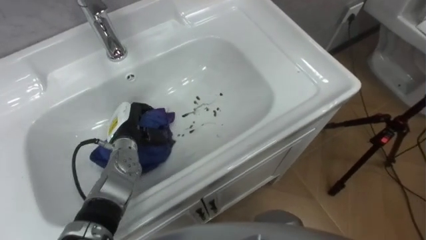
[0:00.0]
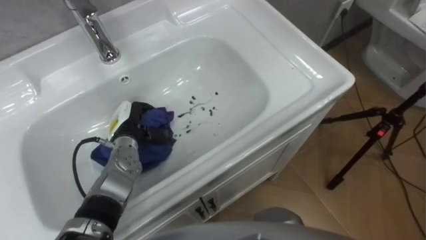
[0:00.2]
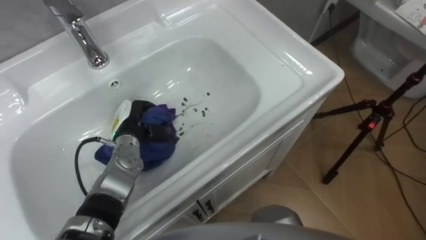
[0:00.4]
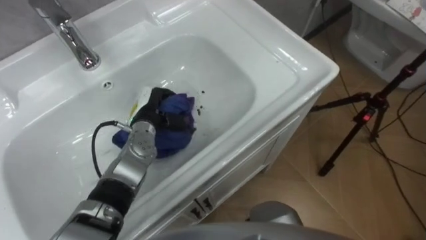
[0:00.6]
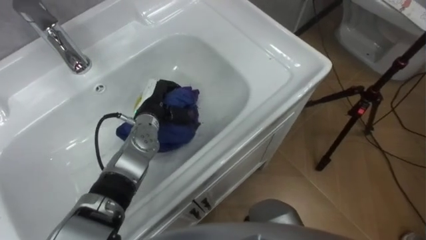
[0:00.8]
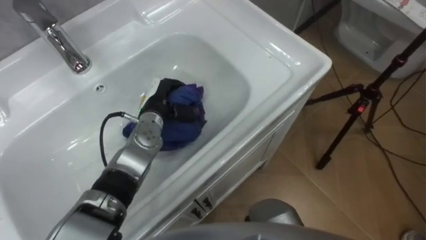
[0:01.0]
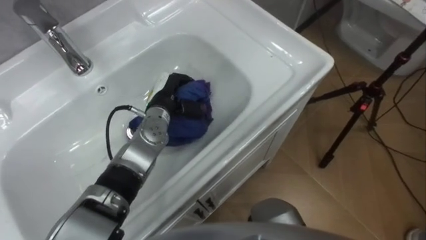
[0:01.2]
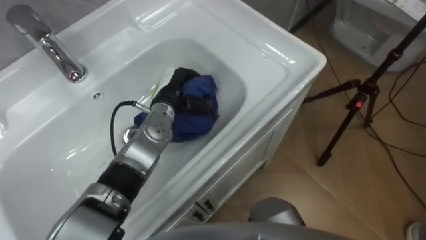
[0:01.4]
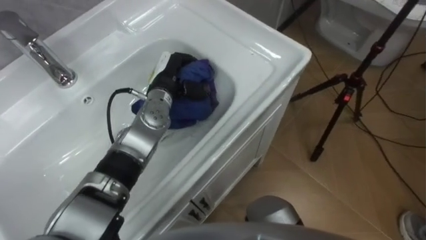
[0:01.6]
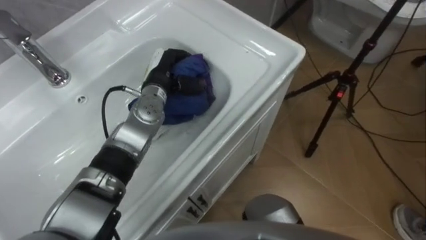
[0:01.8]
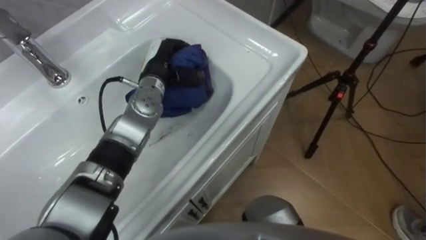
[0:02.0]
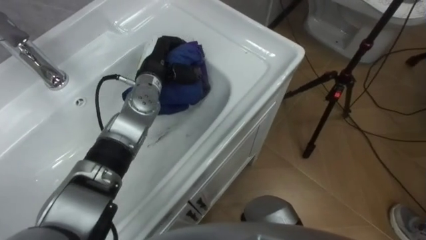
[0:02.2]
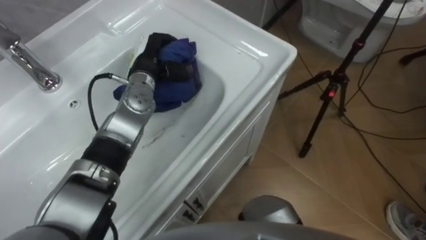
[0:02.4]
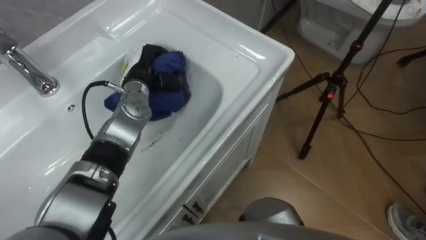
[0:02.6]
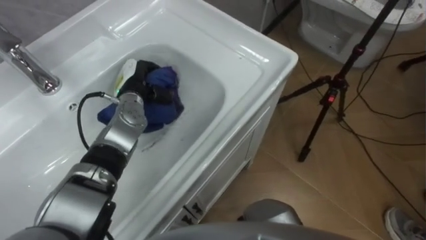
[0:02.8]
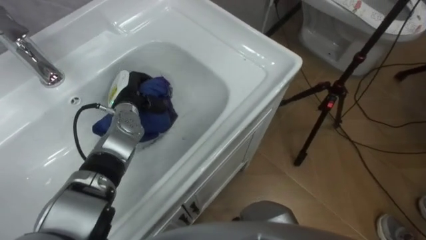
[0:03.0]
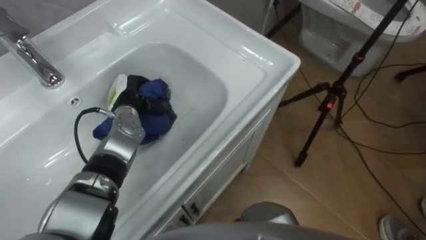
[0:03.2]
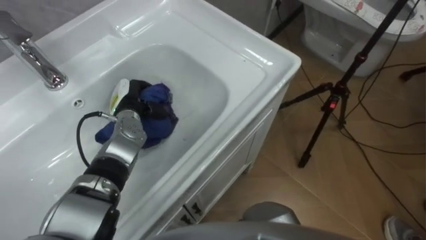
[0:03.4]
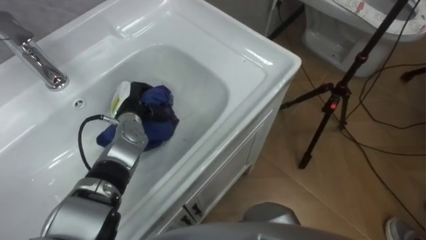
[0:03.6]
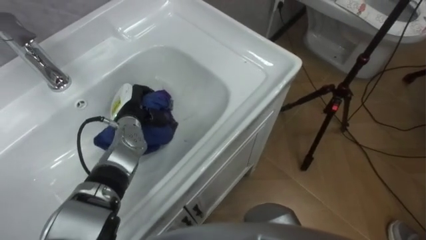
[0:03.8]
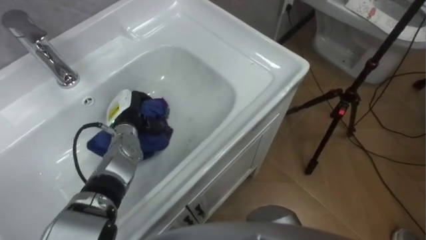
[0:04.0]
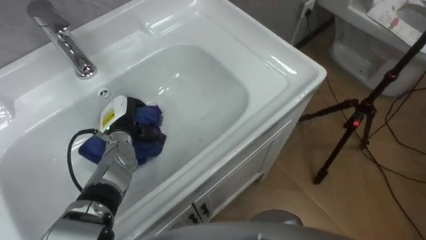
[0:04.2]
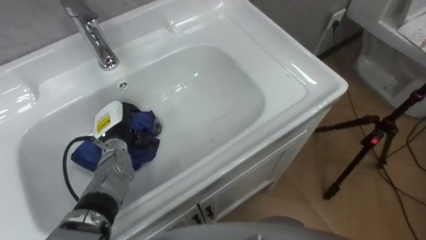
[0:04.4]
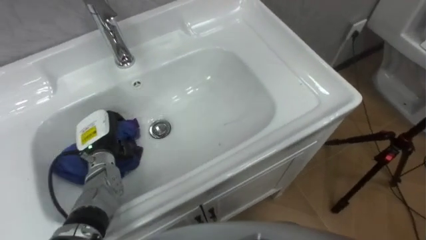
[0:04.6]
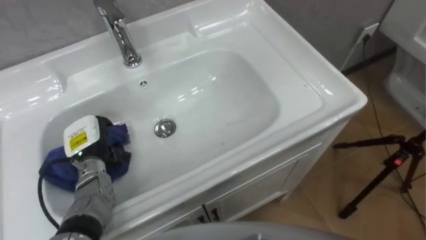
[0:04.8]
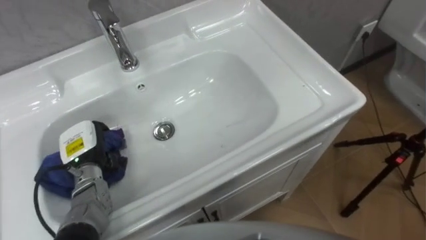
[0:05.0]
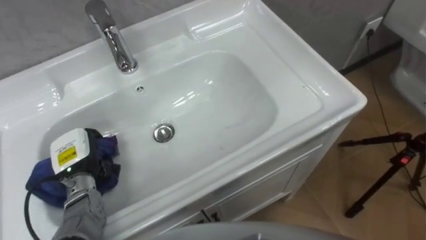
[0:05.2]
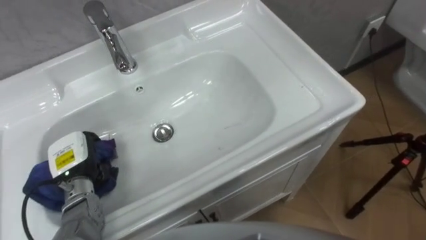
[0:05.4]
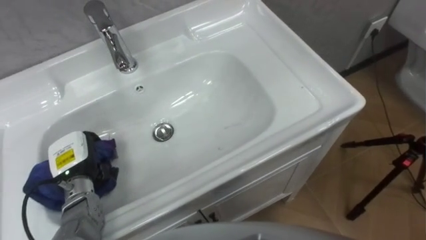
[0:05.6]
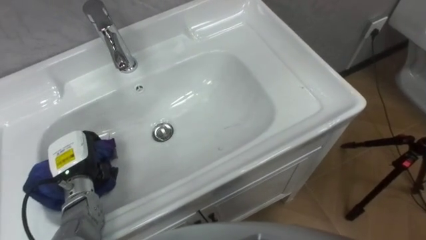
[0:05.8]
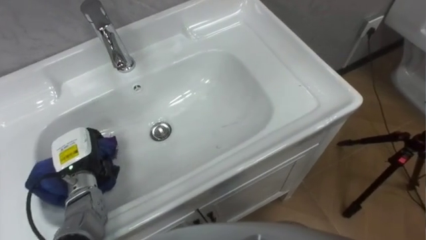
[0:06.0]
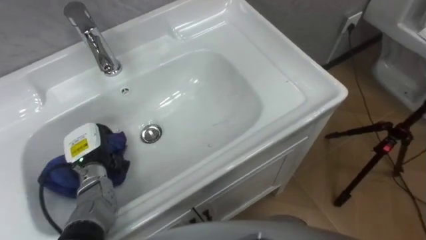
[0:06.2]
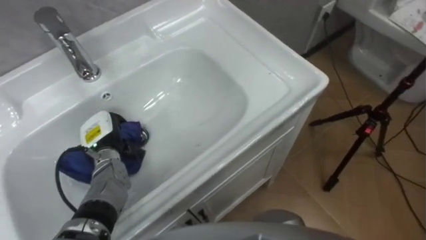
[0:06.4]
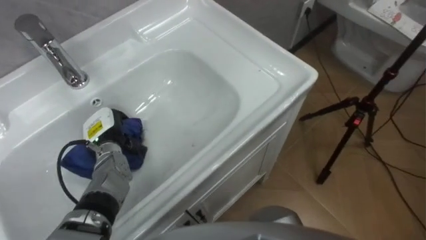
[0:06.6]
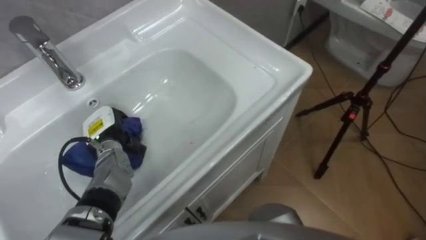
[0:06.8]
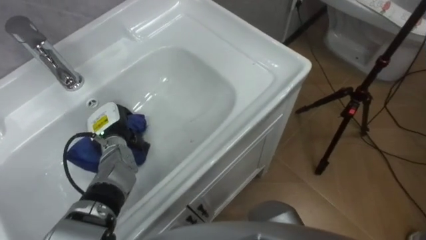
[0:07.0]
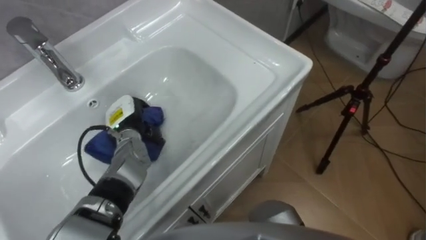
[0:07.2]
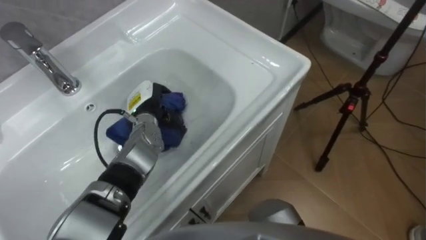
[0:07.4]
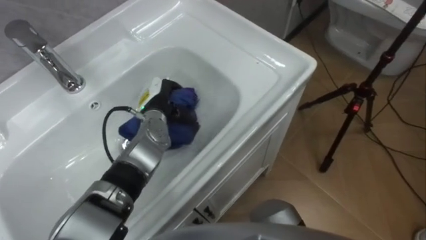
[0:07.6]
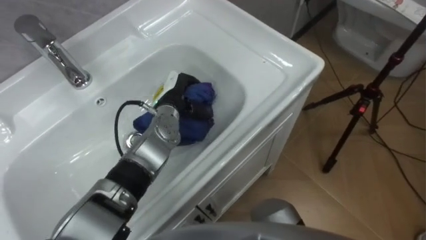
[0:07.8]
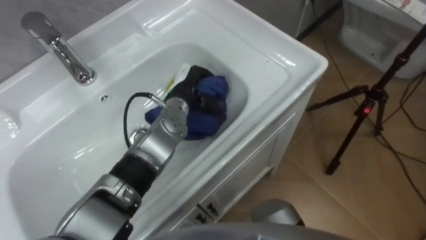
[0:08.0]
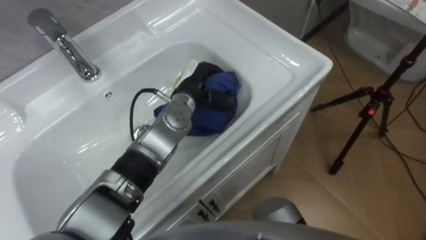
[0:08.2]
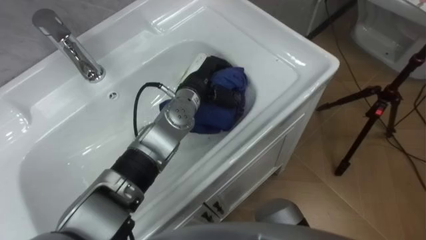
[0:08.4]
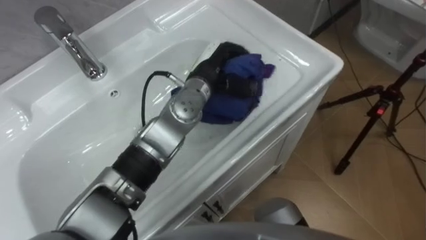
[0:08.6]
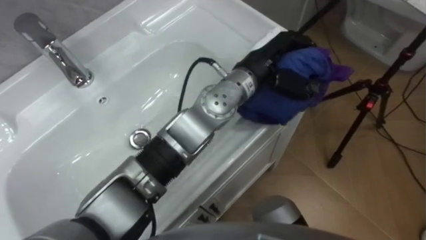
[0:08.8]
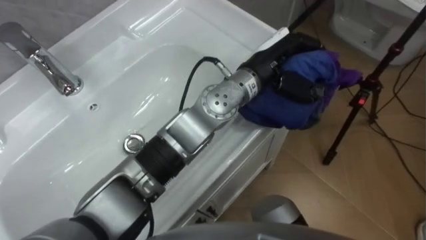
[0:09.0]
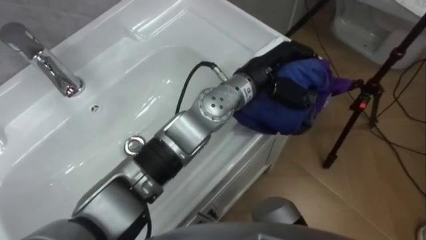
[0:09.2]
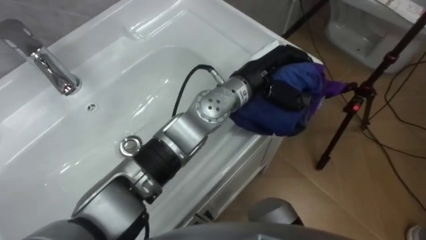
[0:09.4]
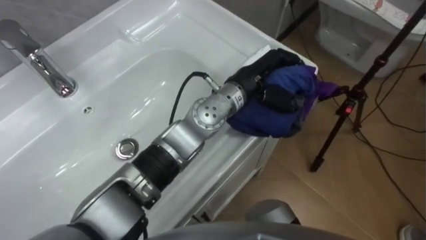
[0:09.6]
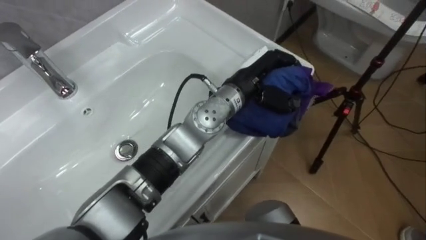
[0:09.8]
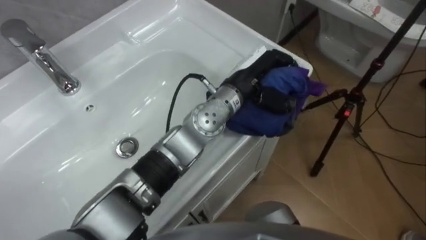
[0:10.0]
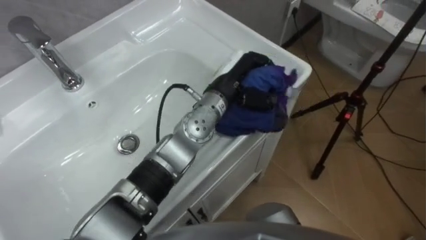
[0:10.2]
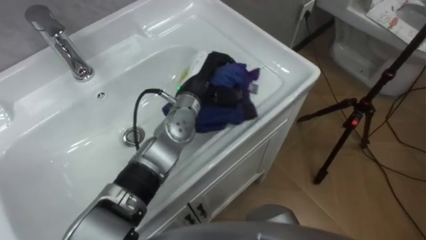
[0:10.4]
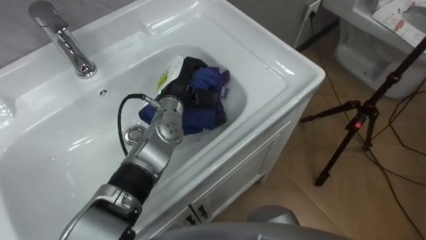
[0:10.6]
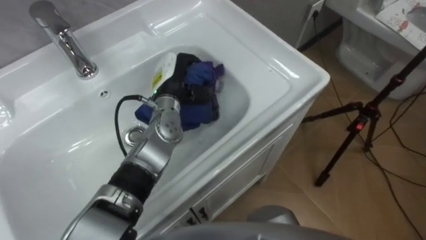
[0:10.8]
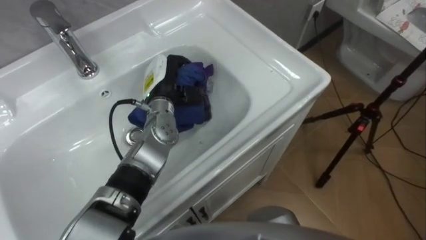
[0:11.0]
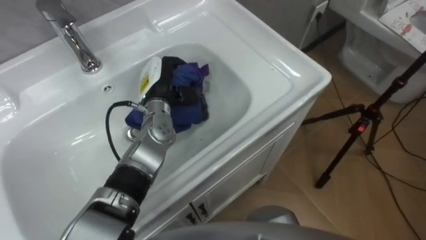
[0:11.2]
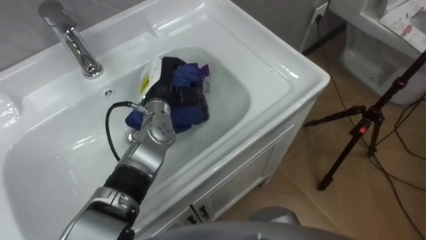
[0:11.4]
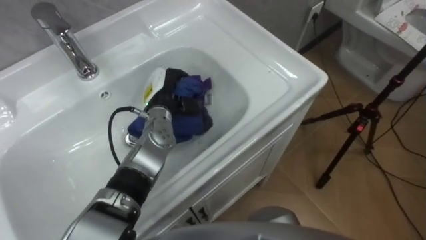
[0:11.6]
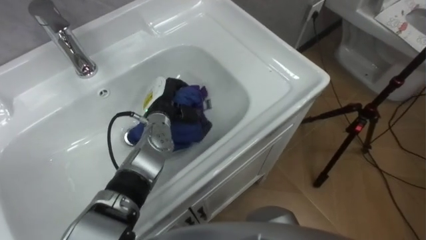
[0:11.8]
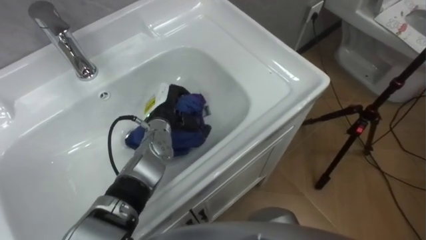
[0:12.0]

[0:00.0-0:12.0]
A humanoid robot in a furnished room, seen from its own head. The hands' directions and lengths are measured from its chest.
Task of the whole recording: Use the cloth on the right to wipe away the black stain in the sink.
0:00.0 to 0:01.6: The left hand heads to the right, forward and upward, covering about 15 cm.
0:01.6 to 0:03.0: The left hand shifts about 10 cm to the left.
0:03.0 to 0:04.4: The left hand shifts approximately 5 cm backward.
0:04.4 to 0:06.0: The left hand shifts approximately 10 cm backward and to the left.
0:06.0 to 0:07.6: The left hand moves to the right and forward, some 20 cm.
0:07.6 to 0:09.0: The left hand travels to the right and upward by roughly 25 cm.
0:09.0 to 0:10.4: The left hand moves to the left and downward, roughly 15 cm.
0:10.4 to 0:12.0: The left hand shifts approximately 10 cm to the left and downward.

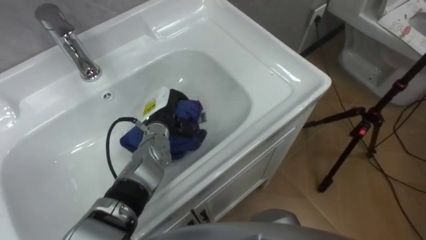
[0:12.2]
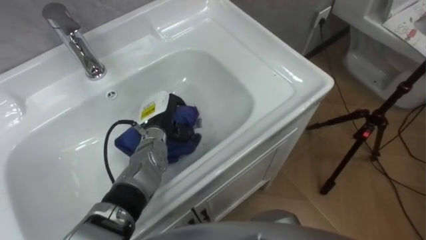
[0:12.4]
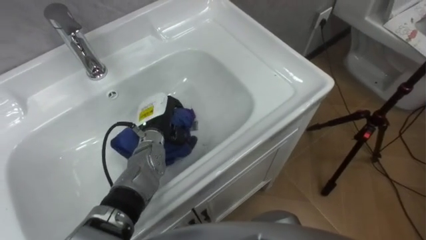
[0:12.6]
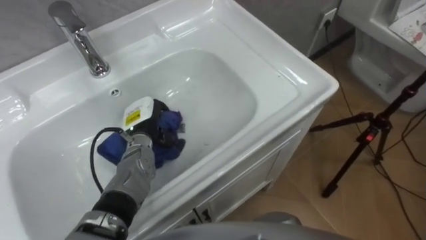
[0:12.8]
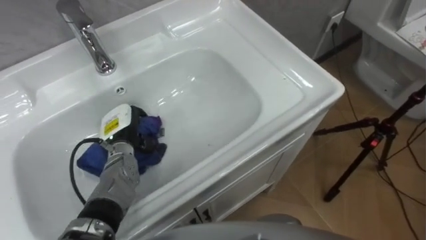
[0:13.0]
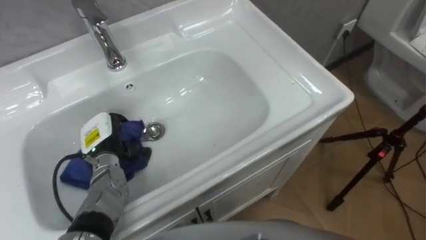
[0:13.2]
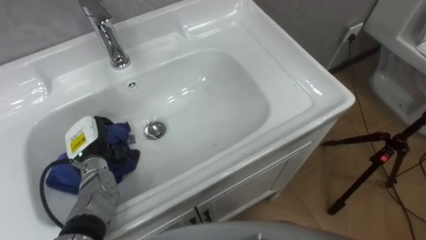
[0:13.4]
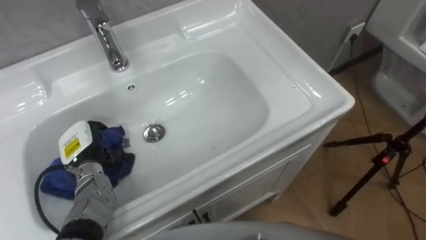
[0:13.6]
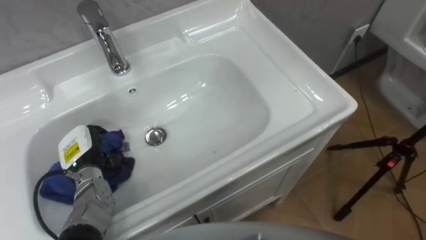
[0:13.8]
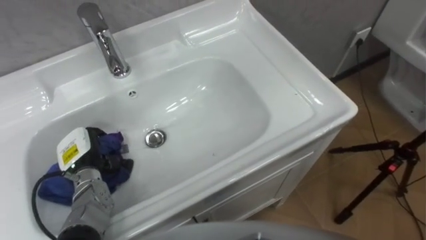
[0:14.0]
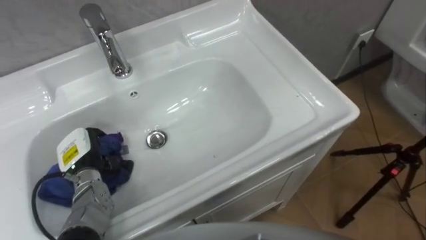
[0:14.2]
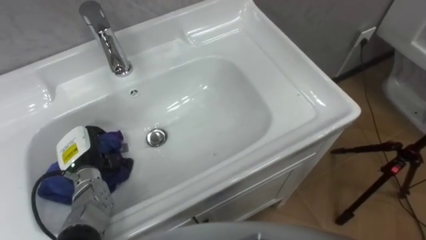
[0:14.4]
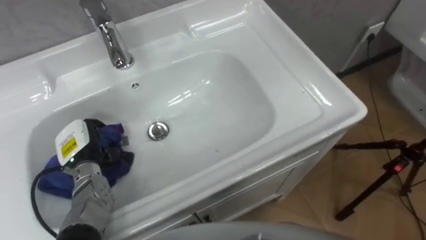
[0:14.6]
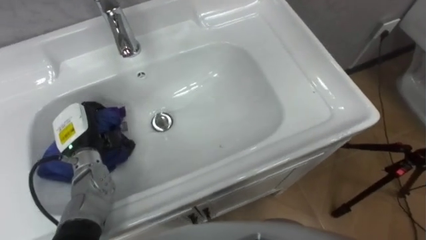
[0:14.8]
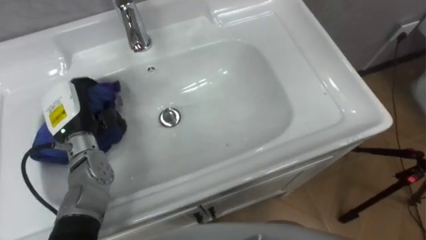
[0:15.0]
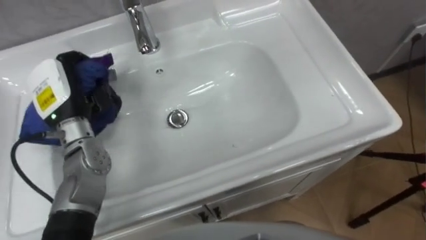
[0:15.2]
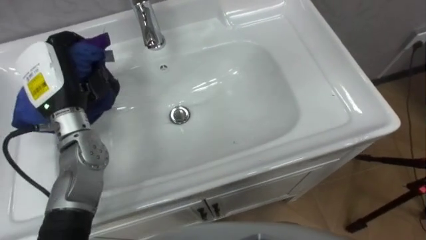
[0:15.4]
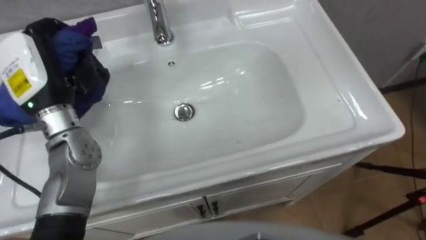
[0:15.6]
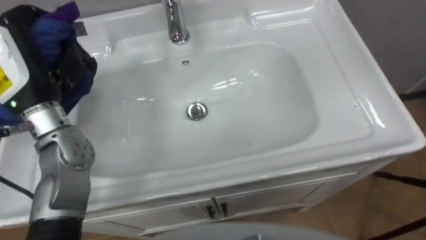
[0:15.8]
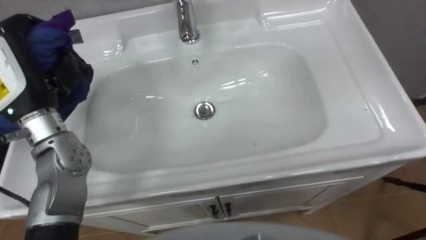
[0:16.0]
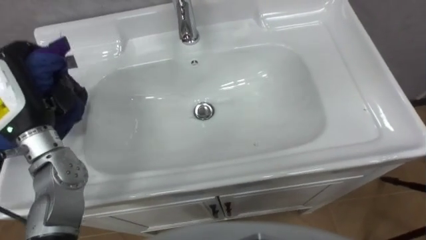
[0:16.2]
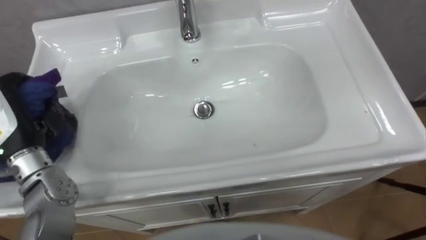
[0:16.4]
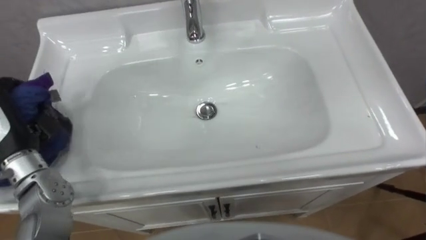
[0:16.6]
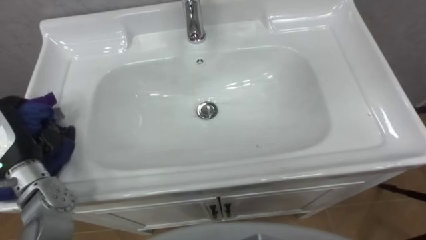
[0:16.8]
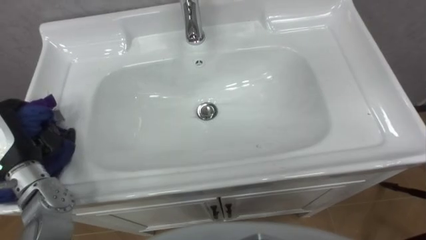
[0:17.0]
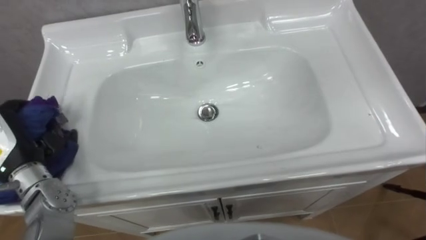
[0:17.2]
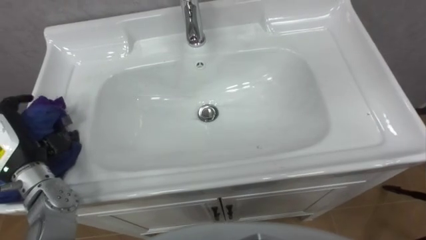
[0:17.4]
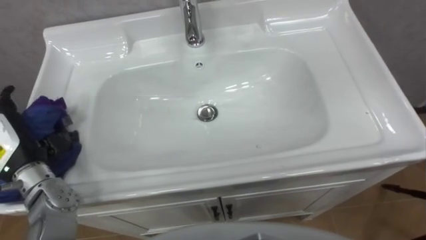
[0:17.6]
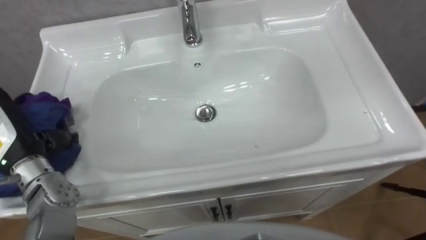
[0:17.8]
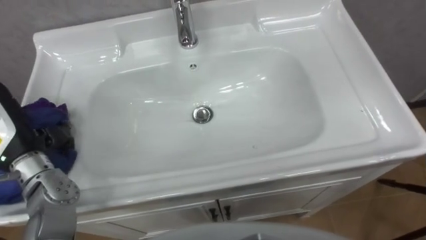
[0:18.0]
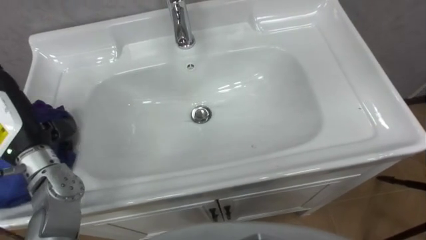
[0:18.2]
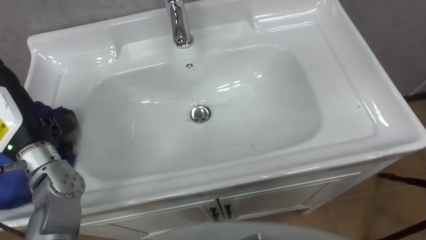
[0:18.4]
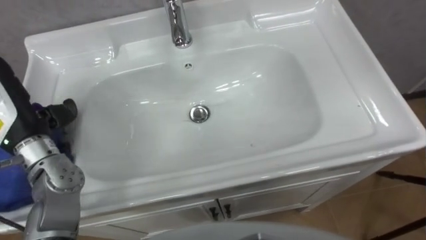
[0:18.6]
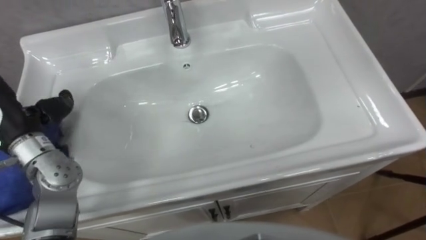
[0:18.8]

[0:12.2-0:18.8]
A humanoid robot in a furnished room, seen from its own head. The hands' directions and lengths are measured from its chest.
Task of the whole recording: Use the cloth on the right to wipe away the black stain in the sink.
0:12.2 to 0:13.8: The left hand travels to the left and backward by roughly 20 cm.
0:13.8 to 0:15.4: The left hand is displaced upward by roughly 20 cm.
